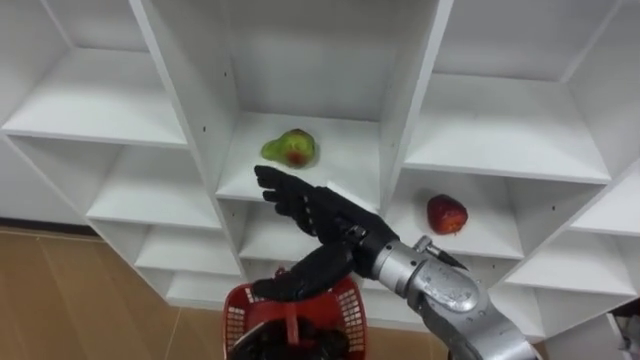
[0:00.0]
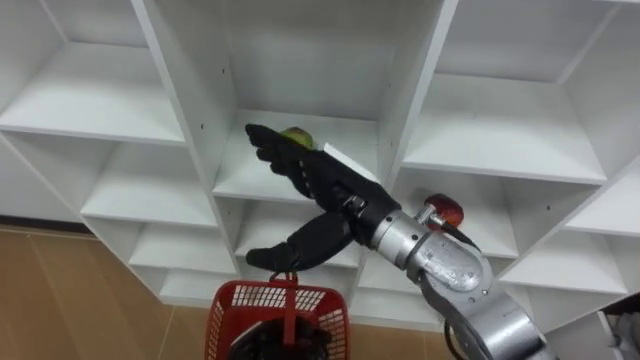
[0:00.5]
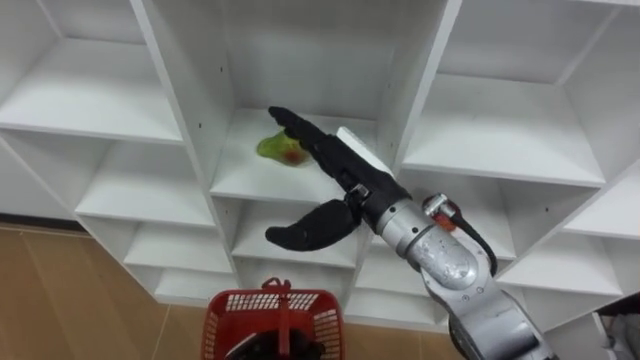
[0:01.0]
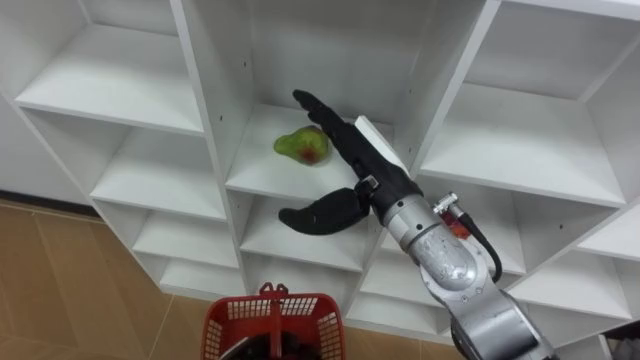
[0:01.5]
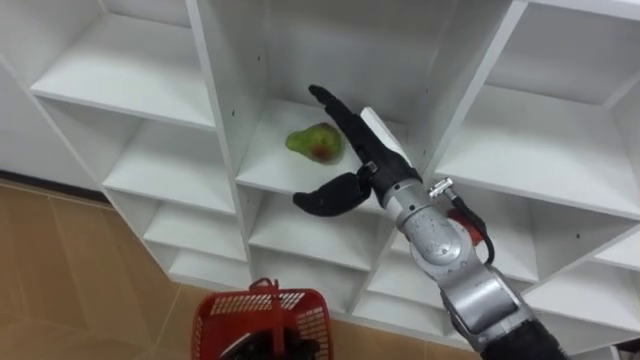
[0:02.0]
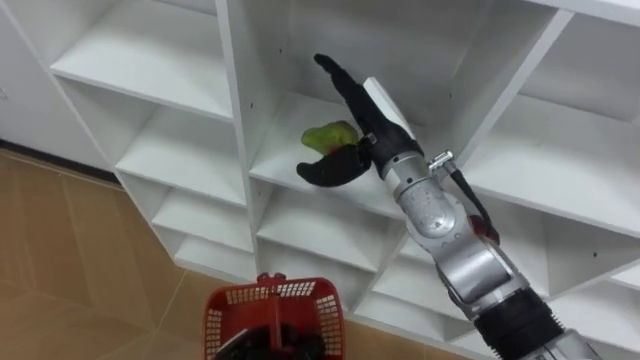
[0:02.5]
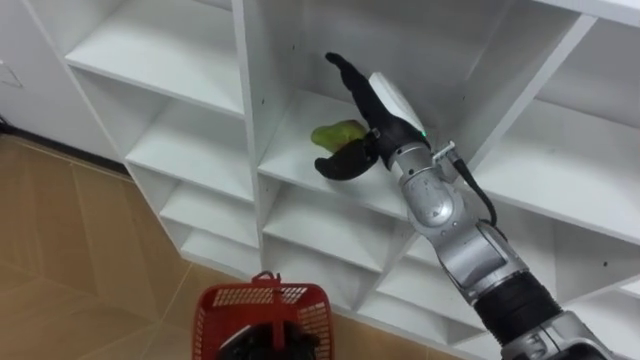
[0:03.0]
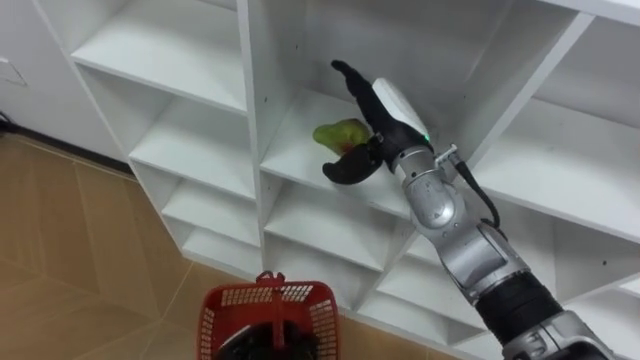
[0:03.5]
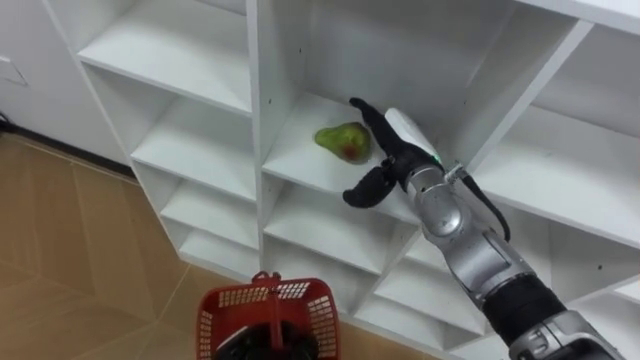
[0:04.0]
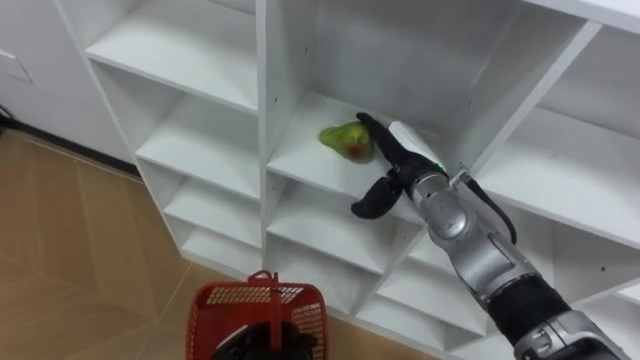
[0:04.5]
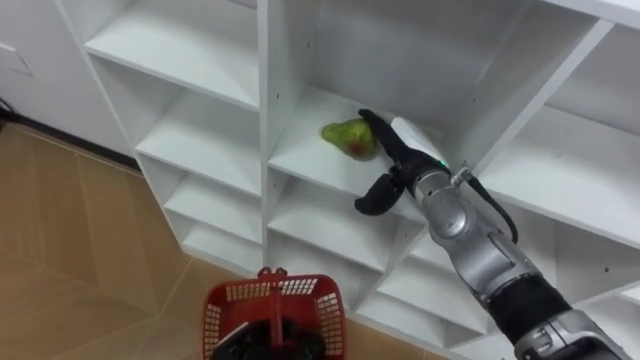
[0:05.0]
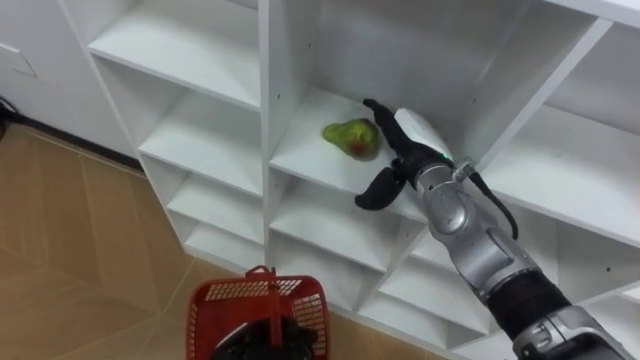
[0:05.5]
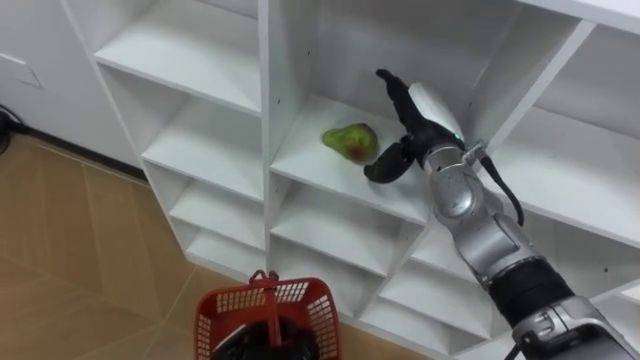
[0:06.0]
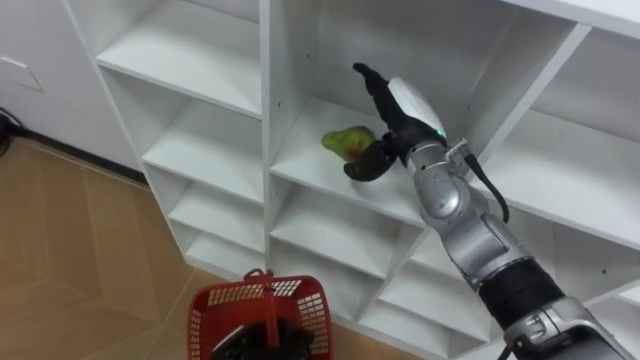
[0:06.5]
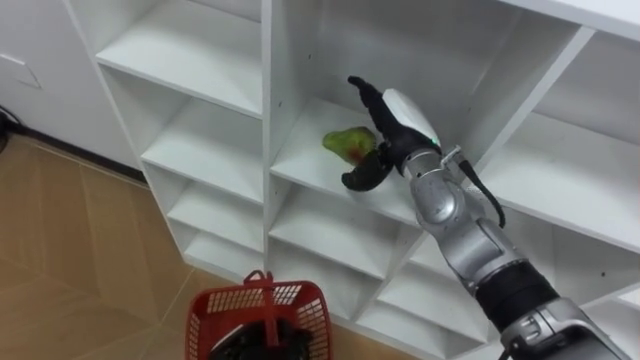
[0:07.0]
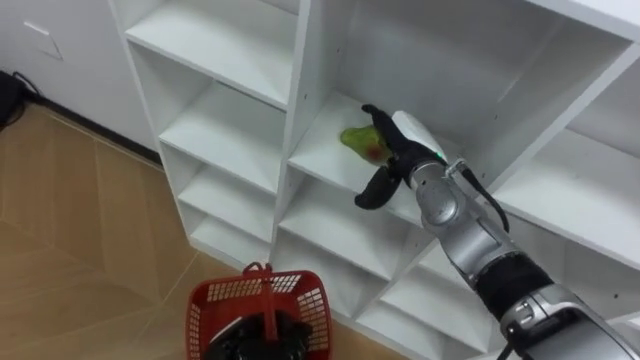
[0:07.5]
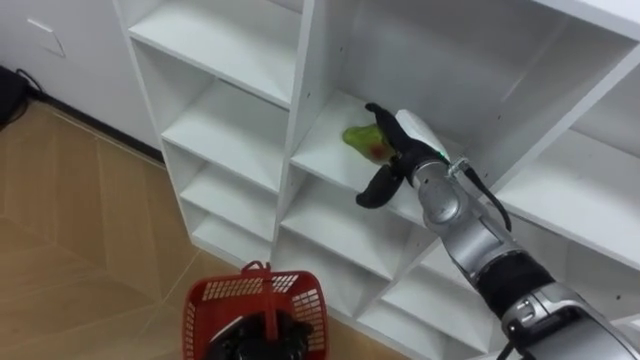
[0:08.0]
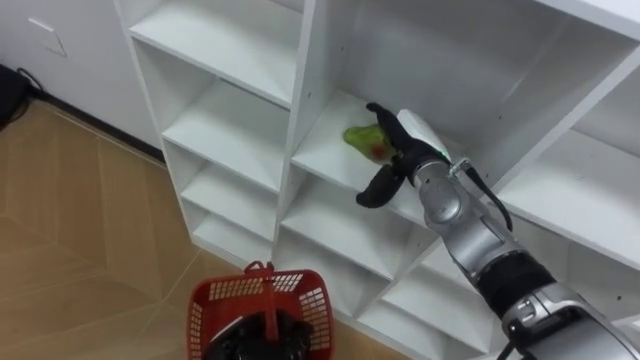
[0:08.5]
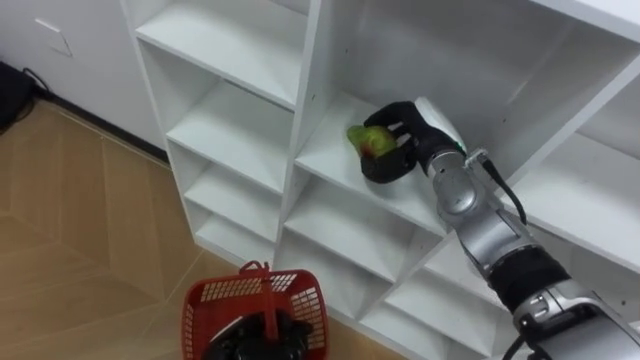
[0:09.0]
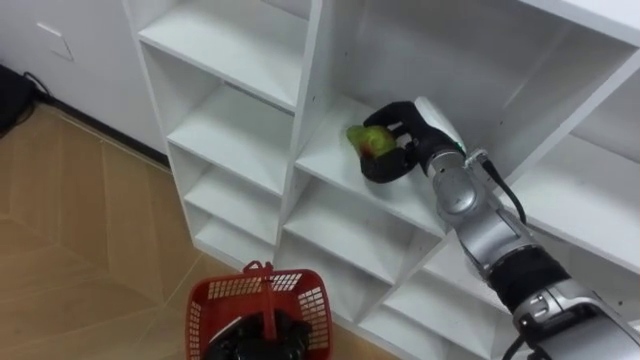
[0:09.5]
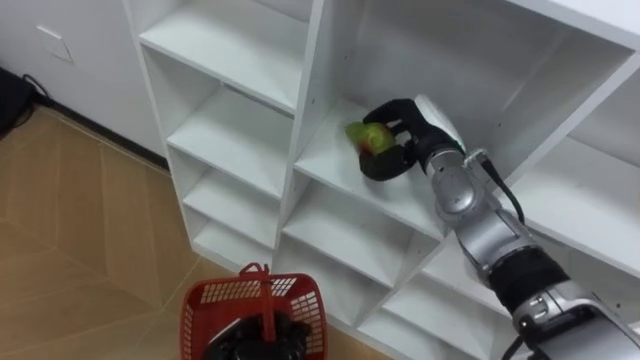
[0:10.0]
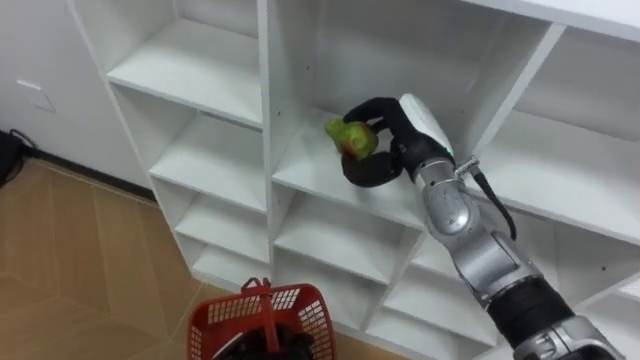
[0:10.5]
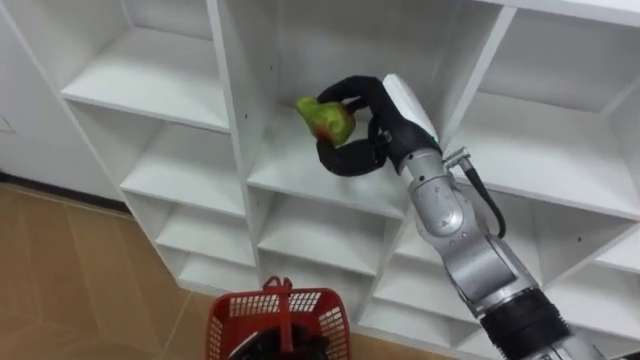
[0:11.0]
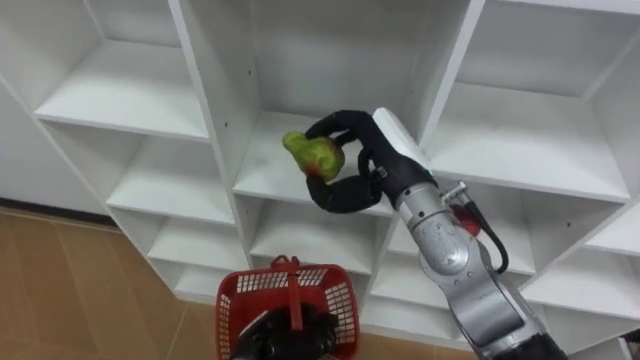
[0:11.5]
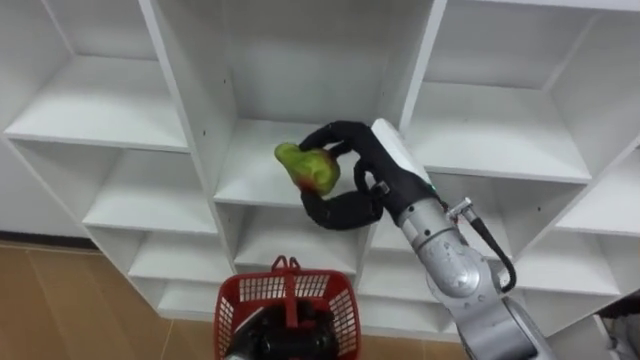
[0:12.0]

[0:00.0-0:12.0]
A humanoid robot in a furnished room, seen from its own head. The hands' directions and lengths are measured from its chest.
Task of the whole recording: Hold the basket and collect the fruits from 3 different cells of the closet into it.
0:00.0 to 0:02.0: The right hand travels forward by some 5 cm.
0:02.0 to 0:04.0: The right hand shifts by approximately 5 cm.
0:04.0 to 0:06.0: The hands stay close to where they were, moving slightly.
0:08.0 to 0:10.0: The right hand closes.
0:10.0 to 0:12.0: The right hand goes roughly 10 cm backward, to the left and upward.

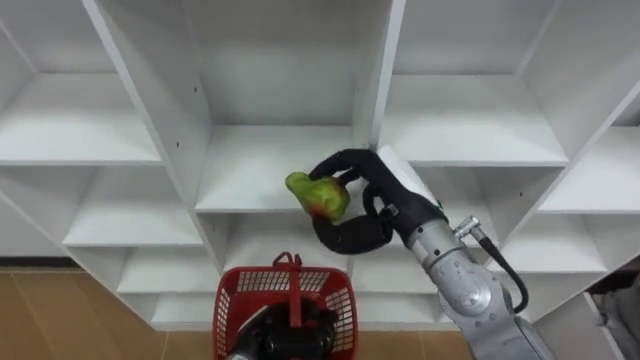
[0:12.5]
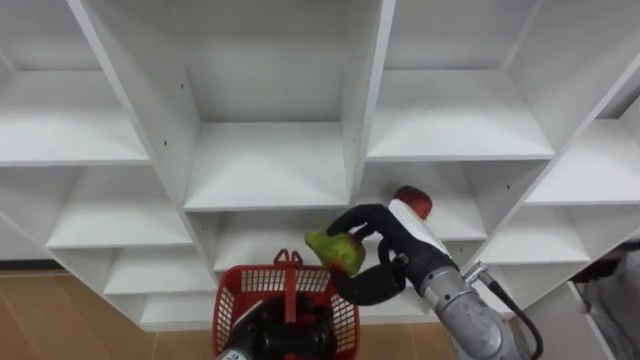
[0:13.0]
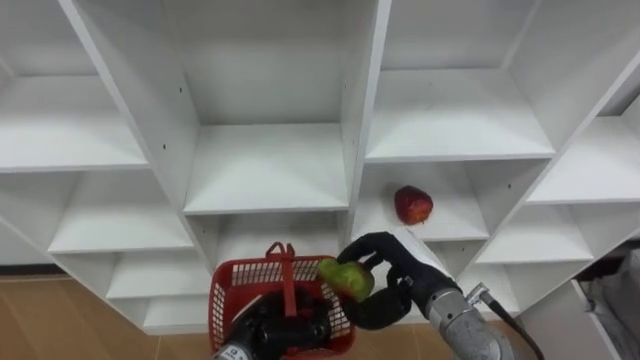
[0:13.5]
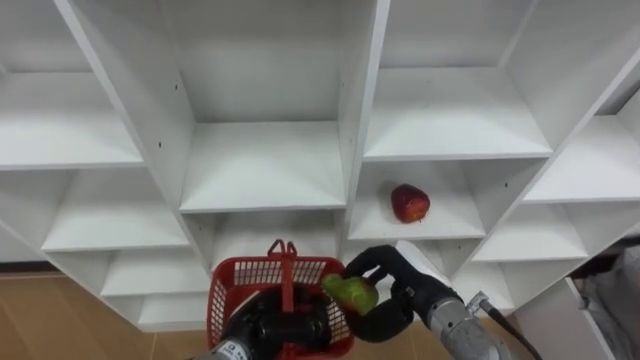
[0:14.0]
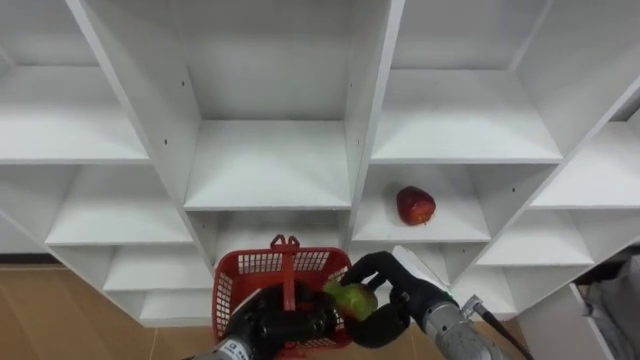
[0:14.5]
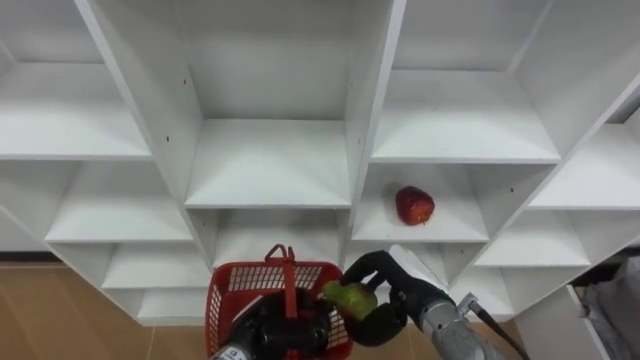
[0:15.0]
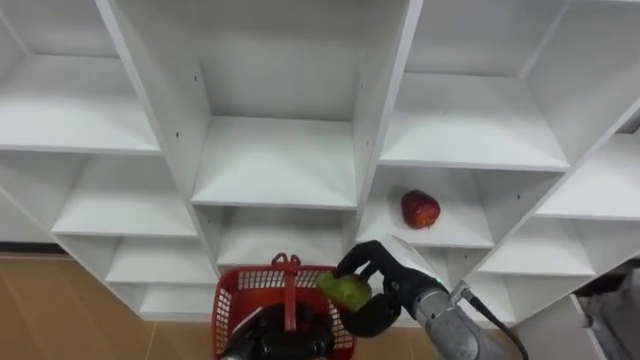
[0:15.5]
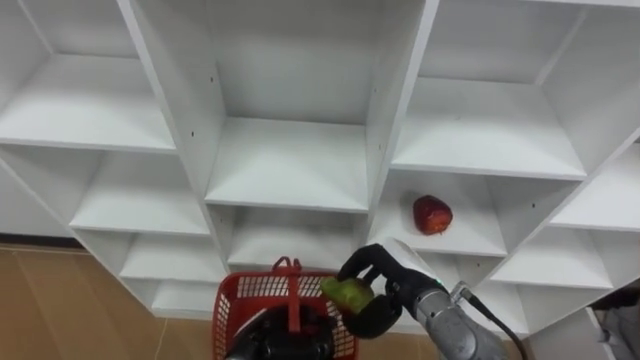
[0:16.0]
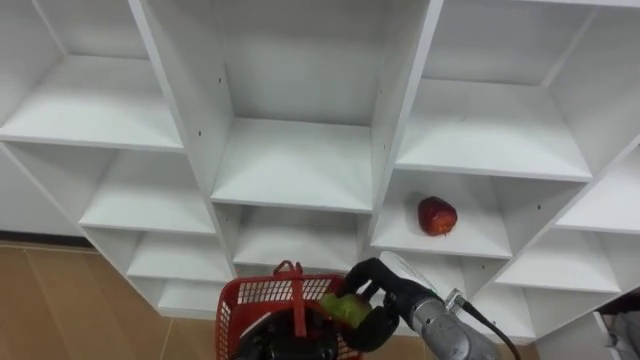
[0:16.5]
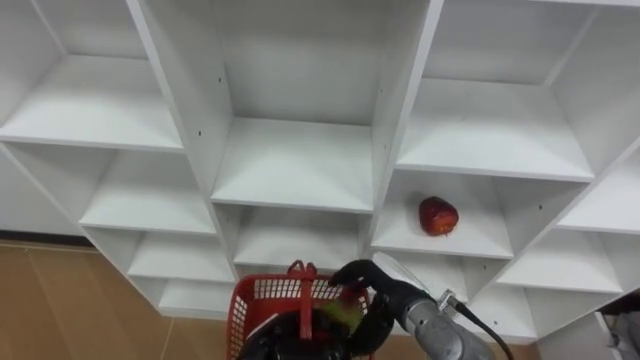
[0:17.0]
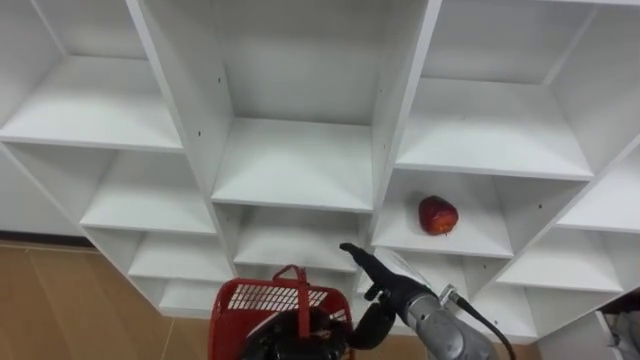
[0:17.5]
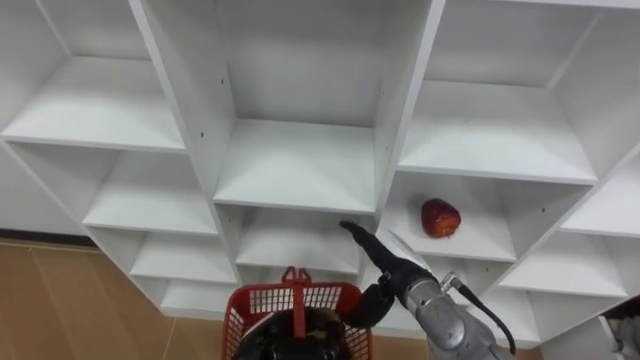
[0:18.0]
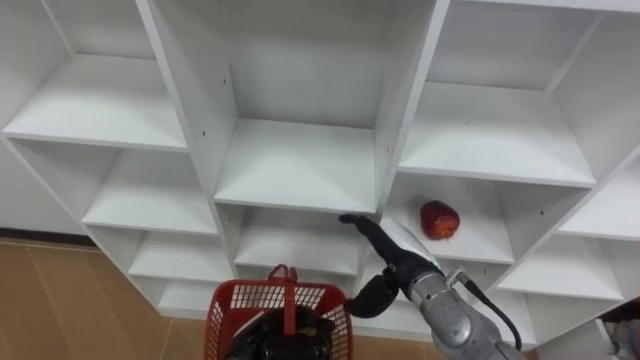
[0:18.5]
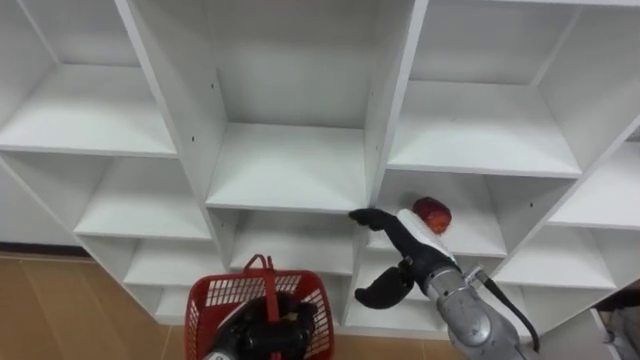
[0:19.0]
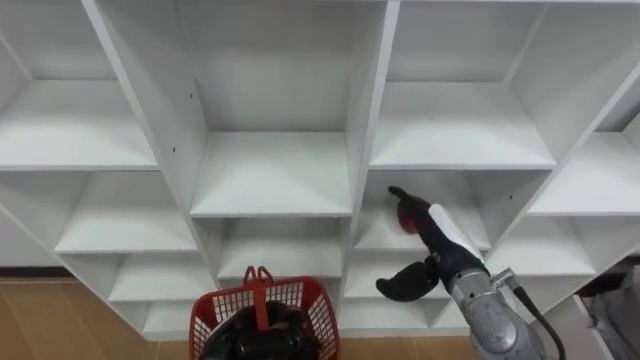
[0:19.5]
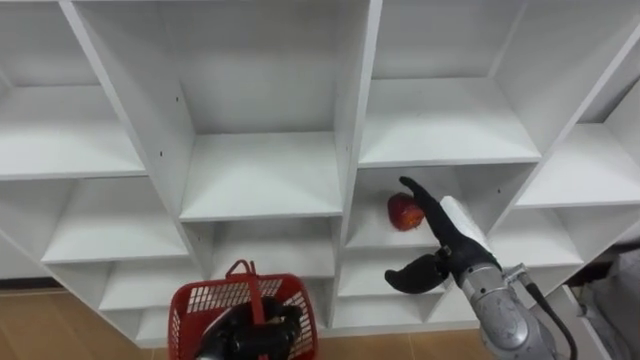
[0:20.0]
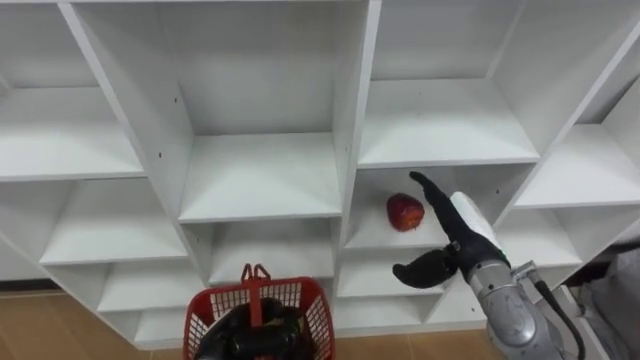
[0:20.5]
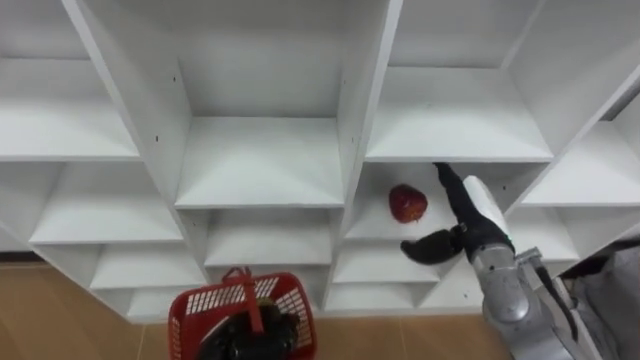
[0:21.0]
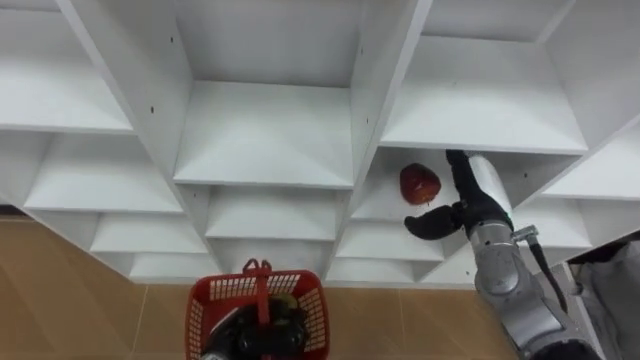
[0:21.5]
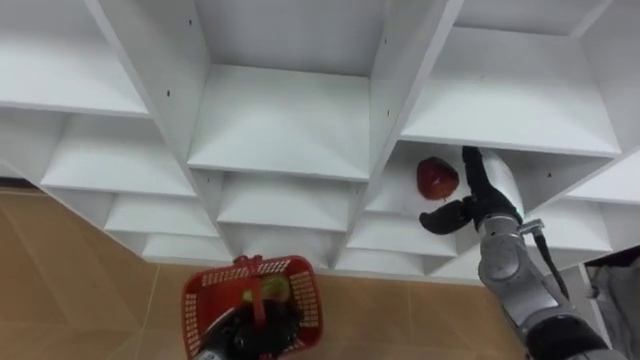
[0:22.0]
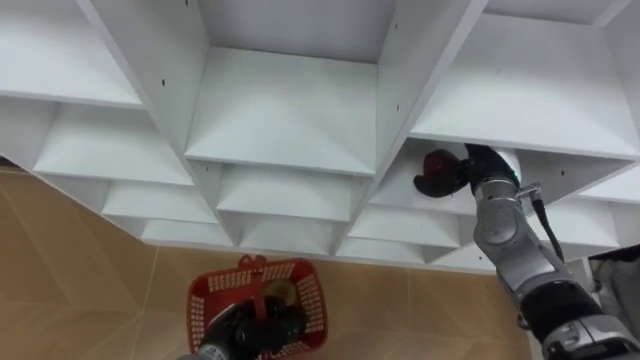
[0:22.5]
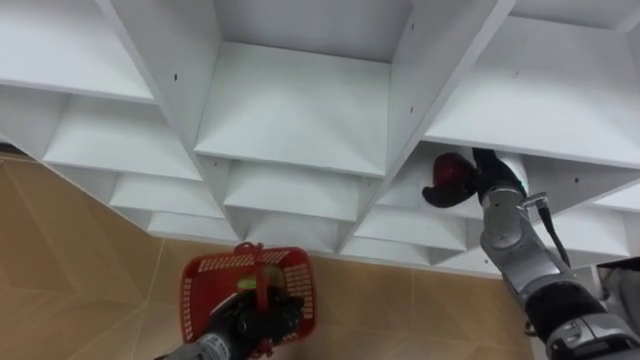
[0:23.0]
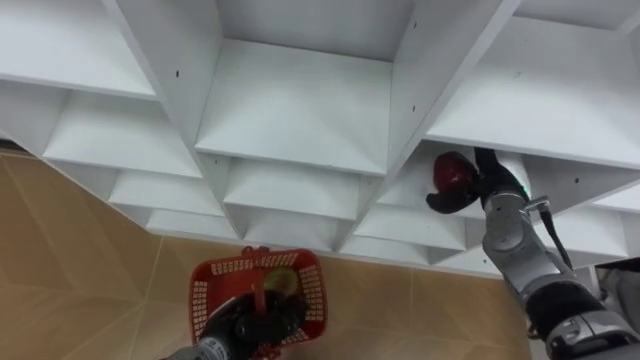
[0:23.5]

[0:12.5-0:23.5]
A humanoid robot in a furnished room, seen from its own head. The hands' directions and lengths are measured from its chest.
Task of the whole recording: Hold the basket and collect the fruits from 3 different cells of the closet into it.
0:12.5 to 0:14.5: The right hand travels downward and backward by roughly 15 cm.
0:16.0 to 0:18.0: The right hand opens.
0:18.0 to 0:20.0: The left hand shifts roughly 5 cm to the left; the right hand goes approximately 10 cm to the right.
0:20.0 to 0:21.5: The right hand travels forward by some 5 cm.